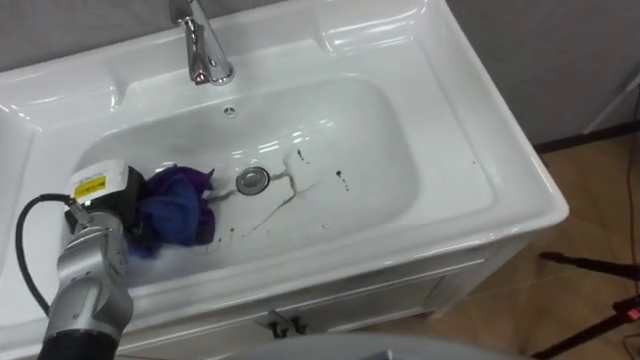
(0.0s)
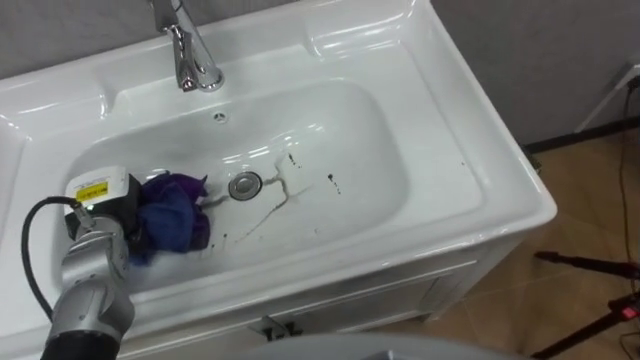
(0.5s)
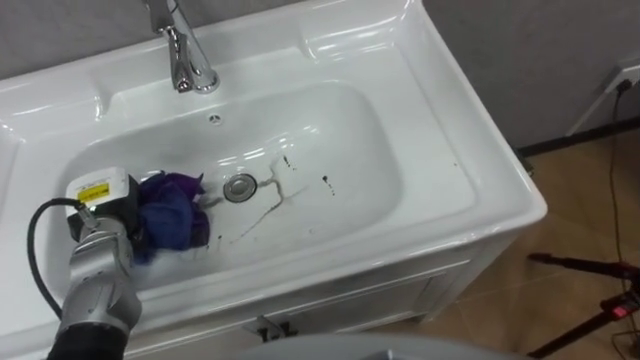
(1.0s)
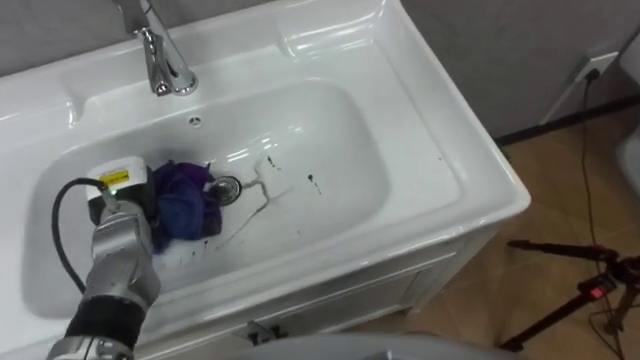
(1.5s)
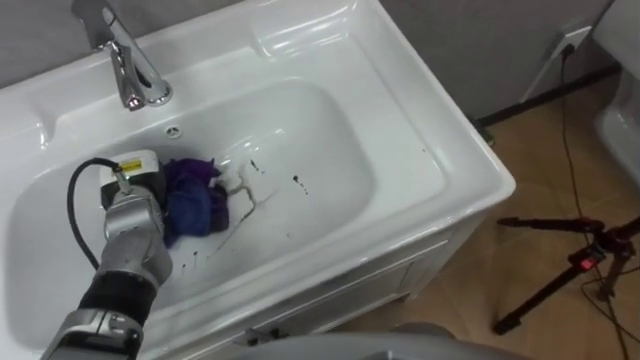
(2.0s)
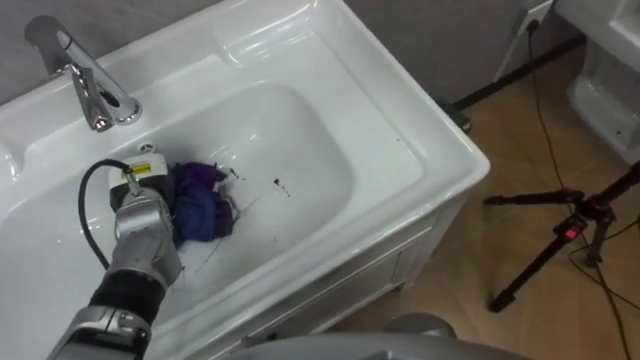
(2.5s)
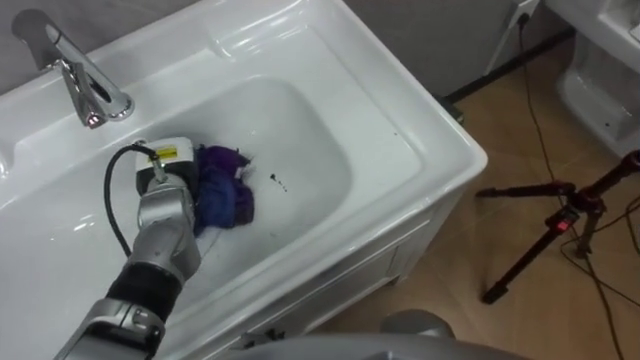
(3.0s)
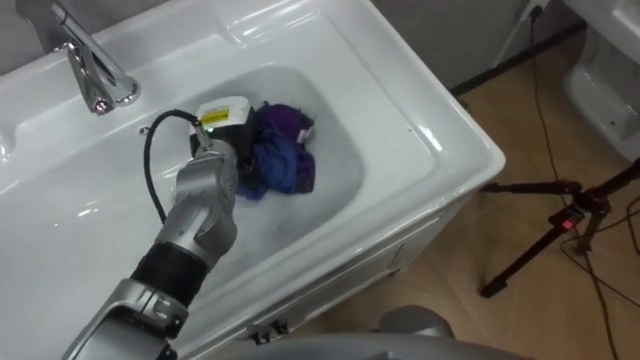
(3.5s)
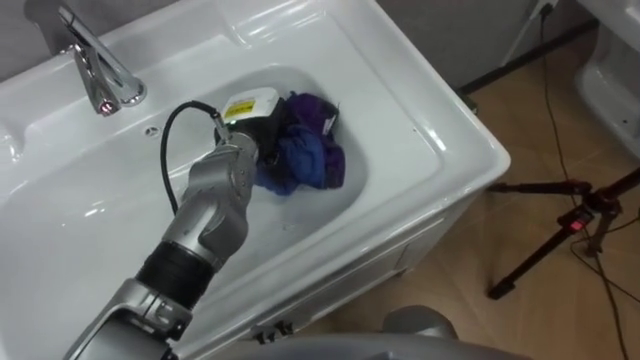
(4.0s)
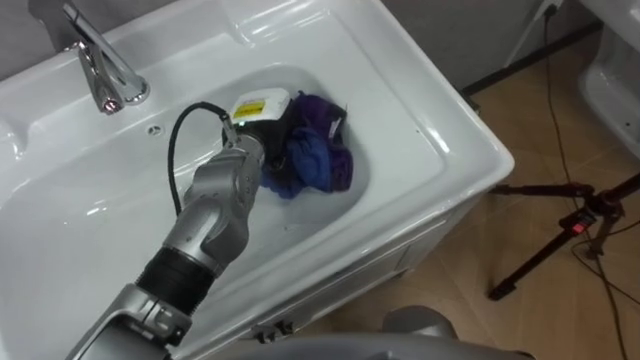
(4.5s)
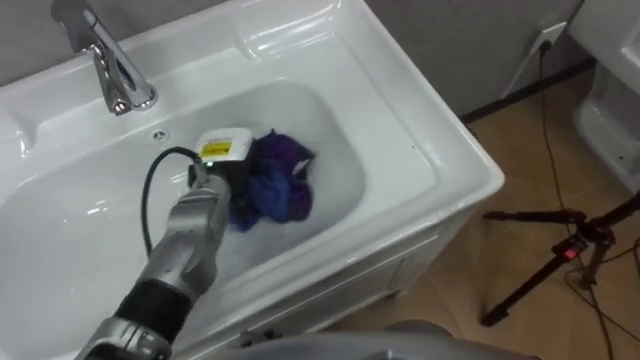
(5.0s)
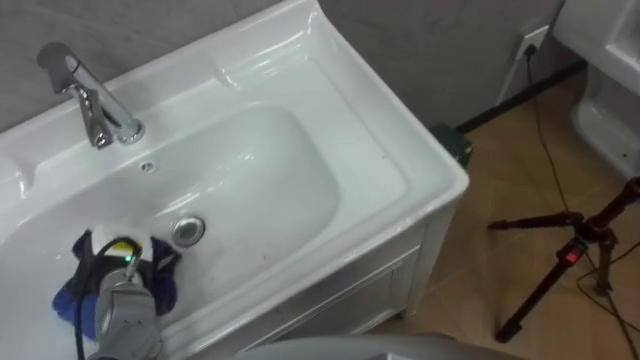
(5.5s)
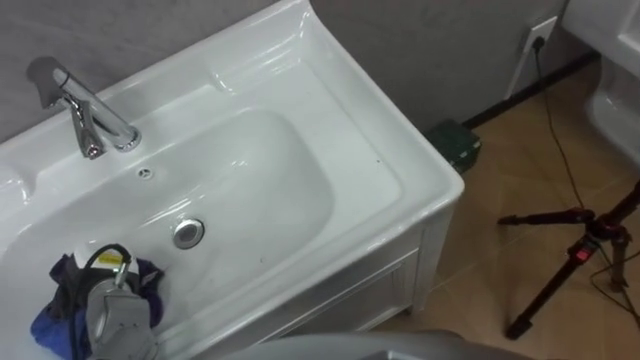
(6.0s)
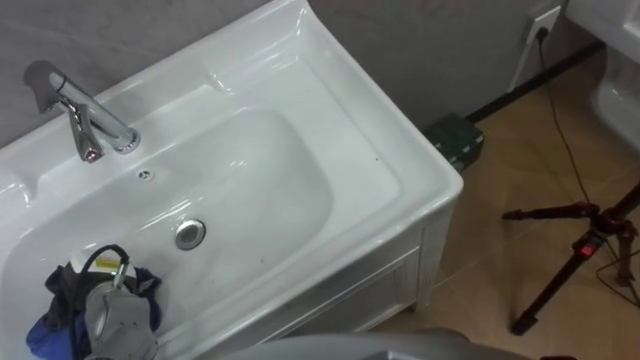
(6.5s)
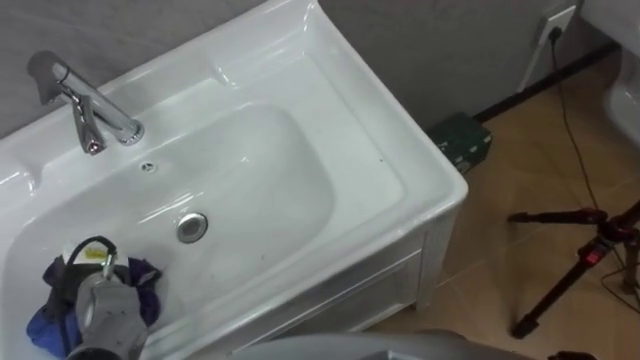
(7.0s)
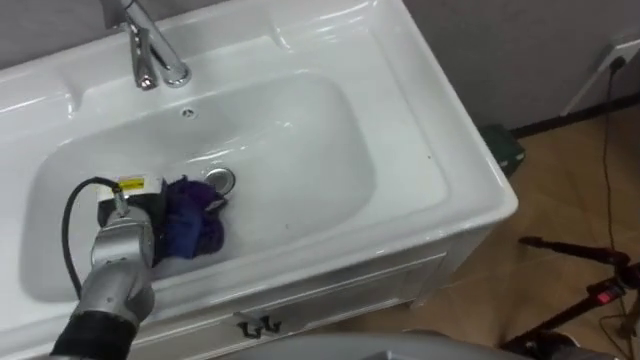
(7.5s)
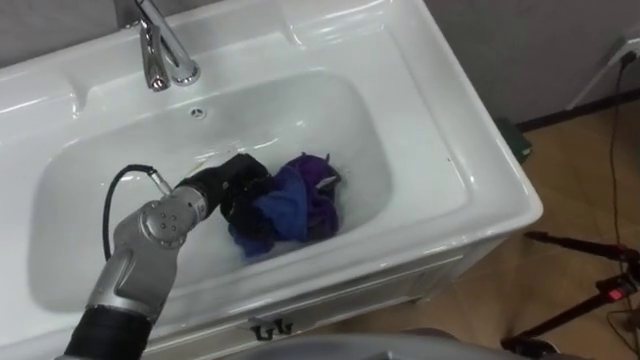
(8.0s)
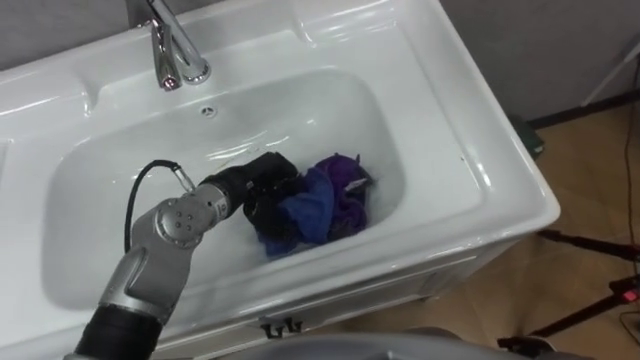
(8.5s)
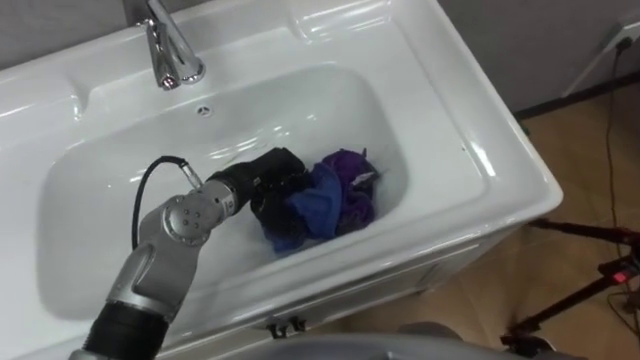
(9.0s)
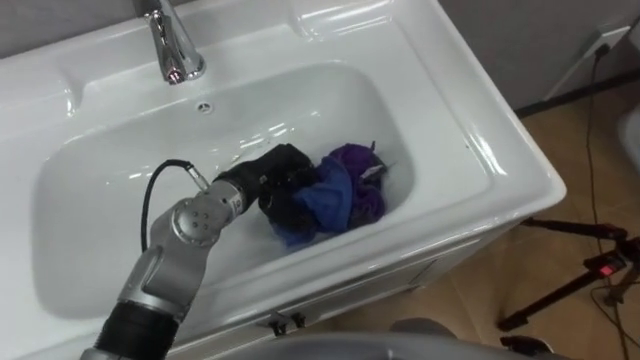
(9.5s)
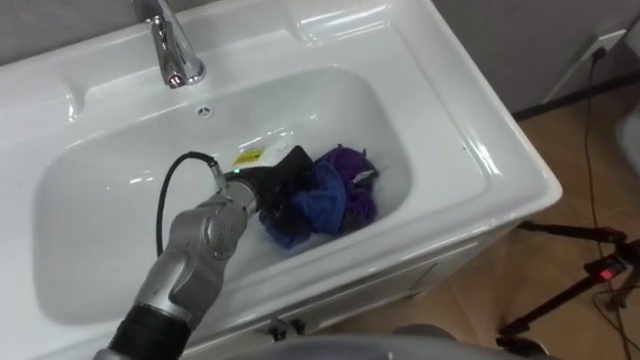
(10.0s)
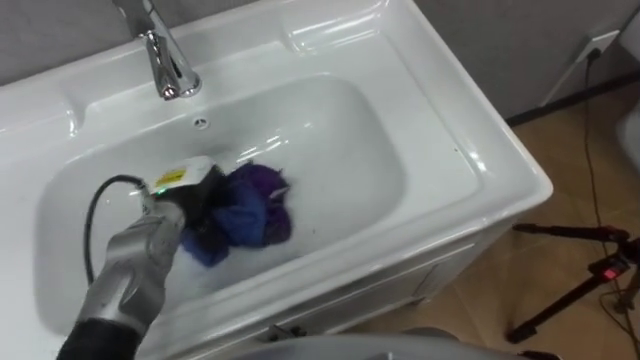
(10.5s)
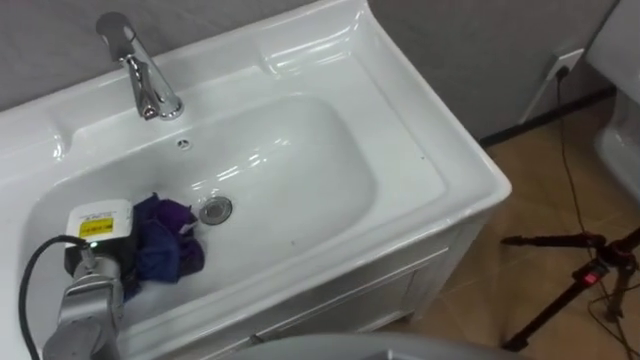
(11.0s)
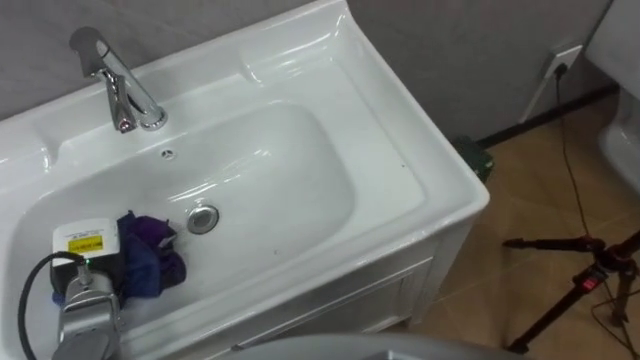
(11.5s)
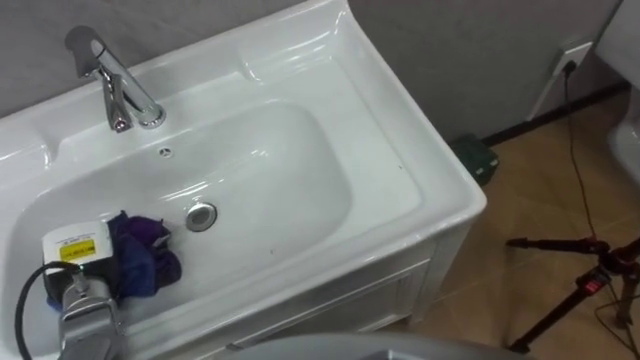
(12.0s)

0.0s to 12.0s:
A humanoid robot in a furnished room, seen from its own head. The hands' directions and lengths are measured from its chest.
Task of the whole recording: Use the cloth on the right to wipe away the black stain in the sink.
0.0s to 2.0s: The left hand shifts by roughly 5 cm.
2.0s to 4.0s: The left hand goes approximately 20 cm to the right and upward.
4.0s to 6.0s: The left hand is displaced to the left, backward and downward by approximately 30 cm.
6.0s to 8.0s: The left hand is displaced to the right, forward and upward by some 20 cm.
8.0s to 10.0s: The left hand goes approximately 5 cm to the right.
10.0s to 12.0s: The left hand goes about 25 cm to the left and backward.
